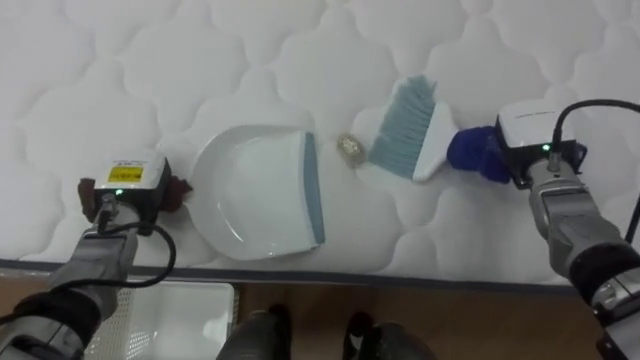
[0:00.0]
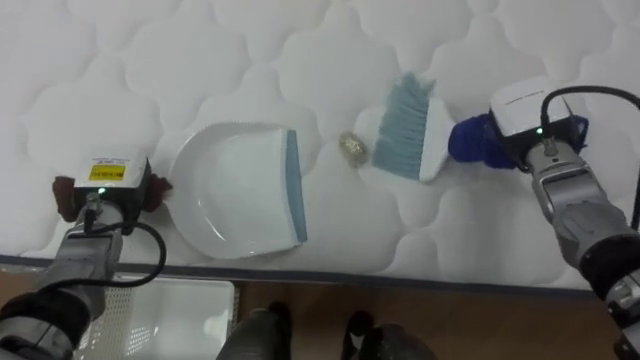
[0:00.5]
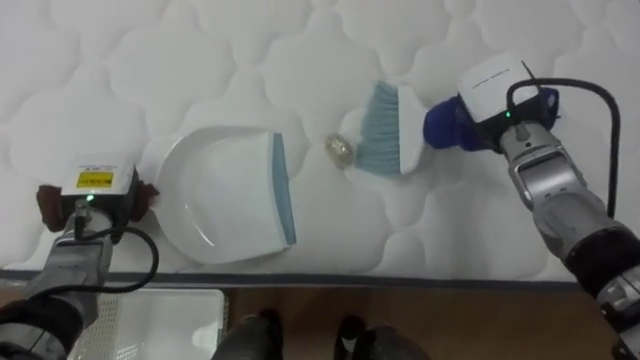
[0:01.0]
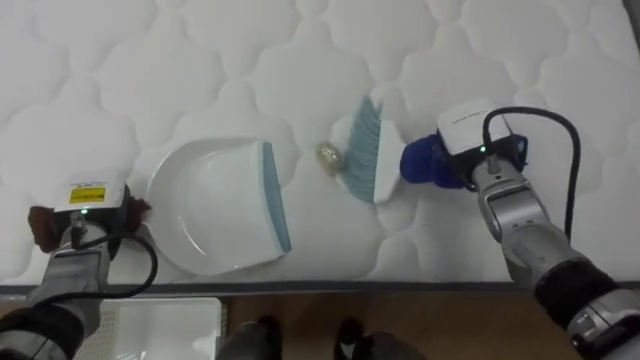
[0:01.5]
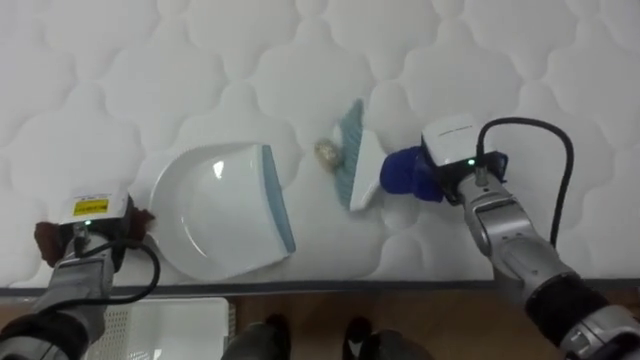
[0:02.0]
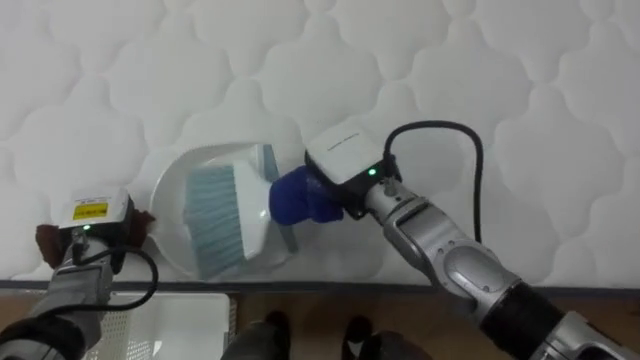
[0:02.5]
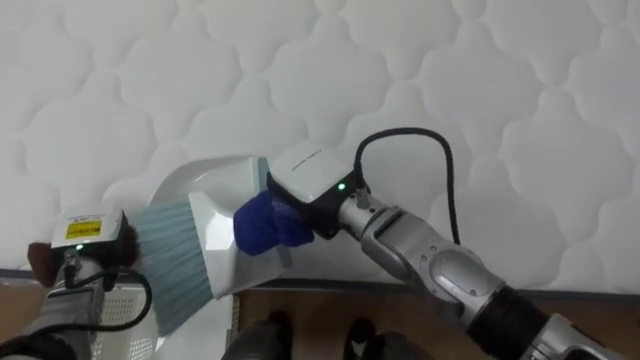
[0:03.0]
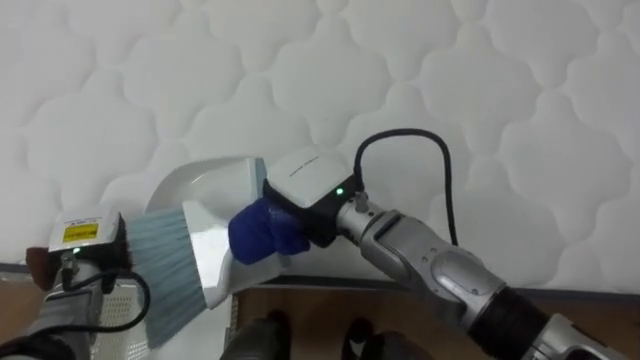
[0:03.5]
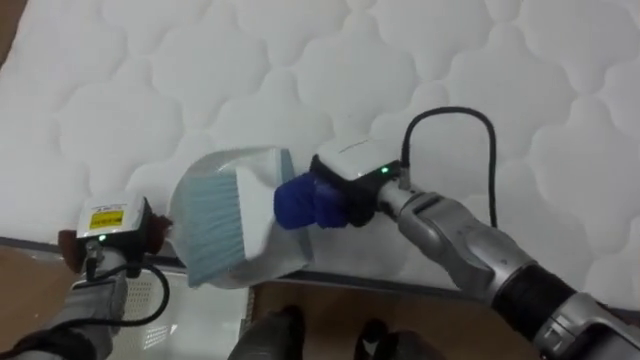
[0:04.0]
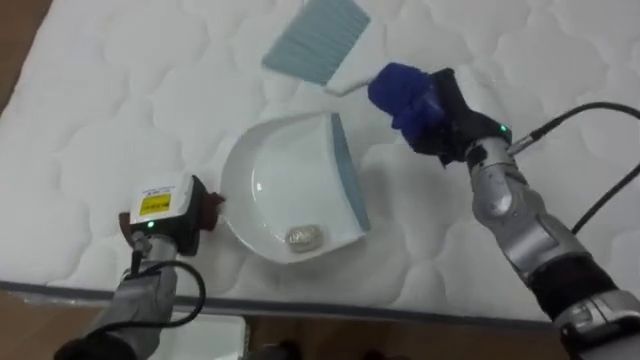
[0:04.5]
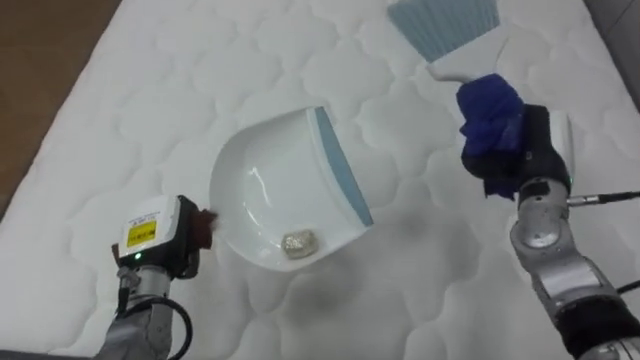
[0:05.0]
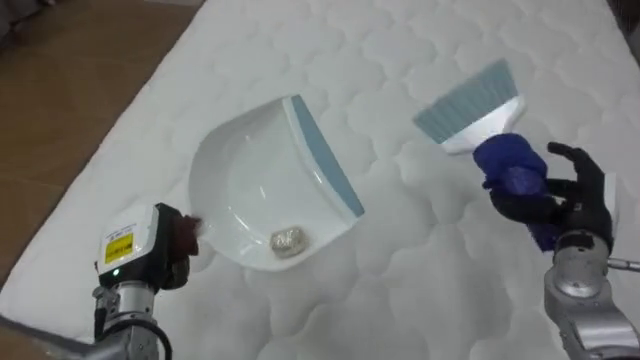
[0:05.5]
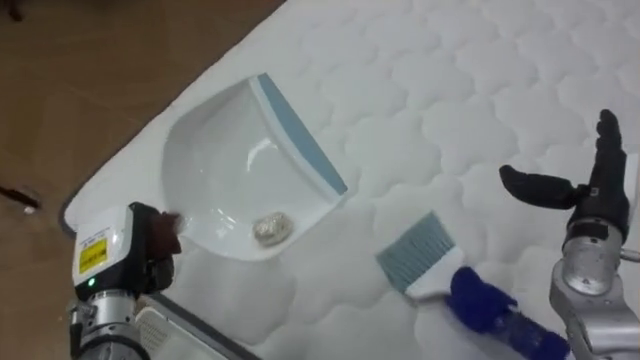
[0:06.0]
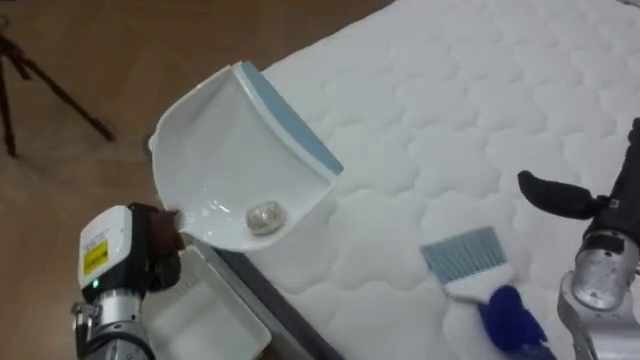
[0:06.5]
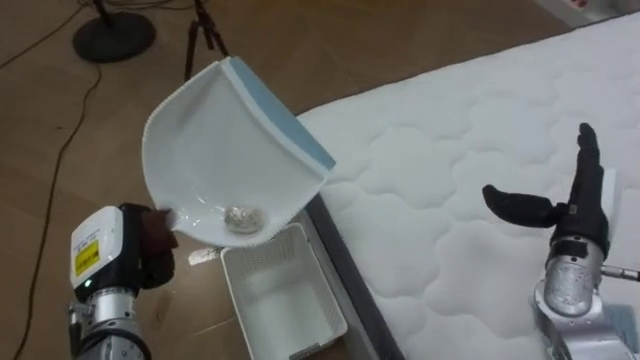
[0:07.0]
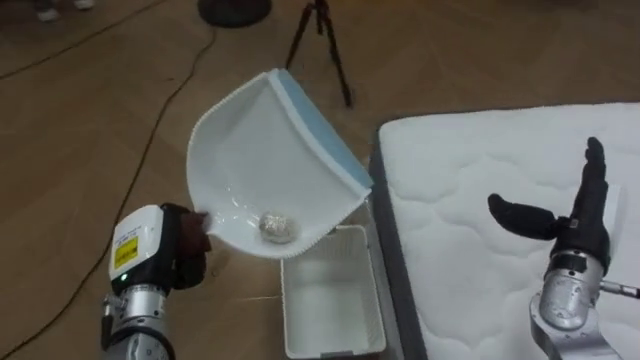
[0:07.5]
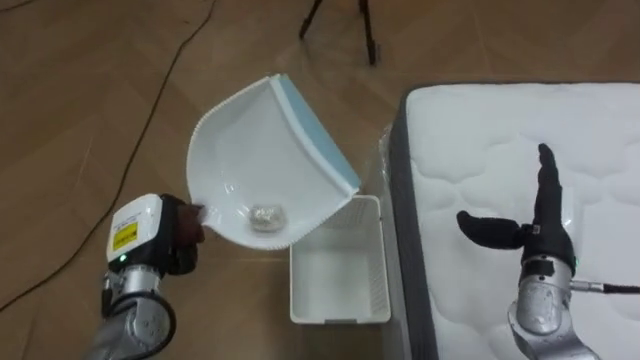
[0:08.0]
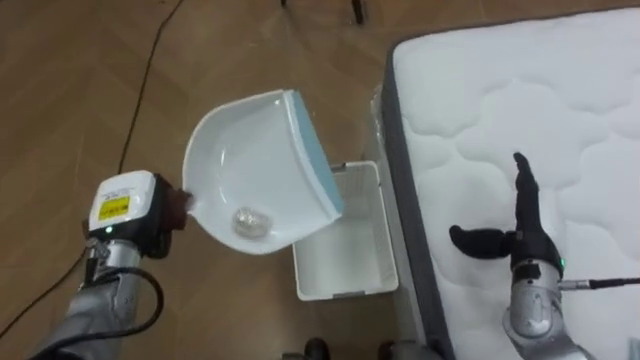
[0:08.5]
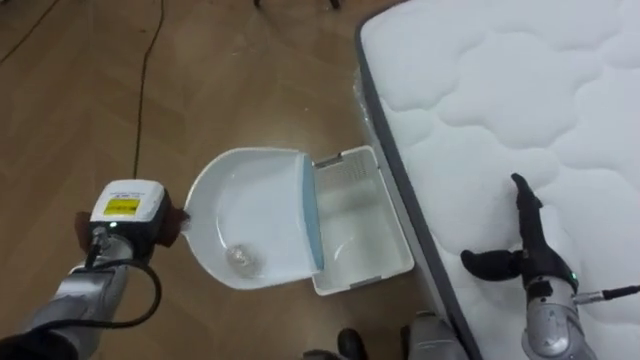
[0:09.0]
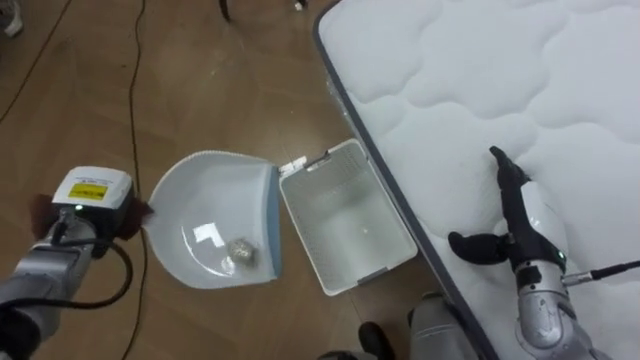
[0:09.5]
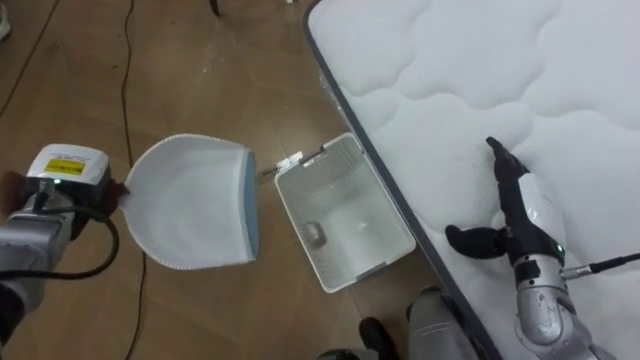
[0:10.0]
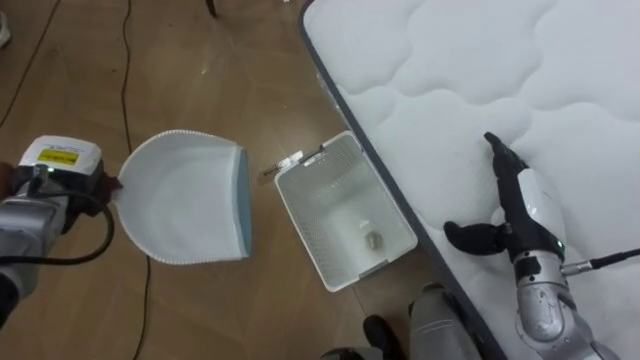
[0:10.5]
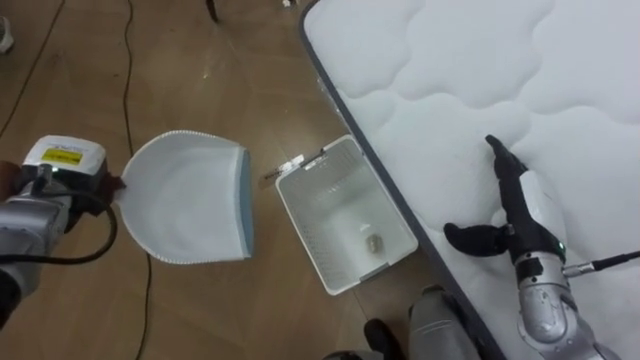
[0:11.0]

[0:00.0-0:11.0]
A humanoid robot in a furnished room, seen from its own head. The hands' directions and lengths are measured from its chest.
Task of the whole recording: Pick up the brush on your right and the dustpan on your left. Use the brush to sweep the crumpled paper on the bed into the dustpan, then turn left and empty it into the basket.
0:00.0 to 0:02.0: The left hand moves roughly 5 cm. The right hand heads to the left, covering about 10 cm.
0:02.0 to 0:03.5: The right hand travels to the left by some 20 cm.
0:03.5 to 0:05.5: The right hand is displaced to the right by about 35 cm, and opens up; the left hand moves to the right, approximately 10 cm.
0:05.5 to 0:07.5: The robot's body swings about 75 degrees to its left.
0:07.5 to 0:09.0: The left hand moves forward, about 5 cm. The right hand heads downward, covering some 5 cm.
0:09.0 to 0:11.0: The left hand heads to the left and upward, covering about 10 cm; the right hand changes place by approximately 5 cm.

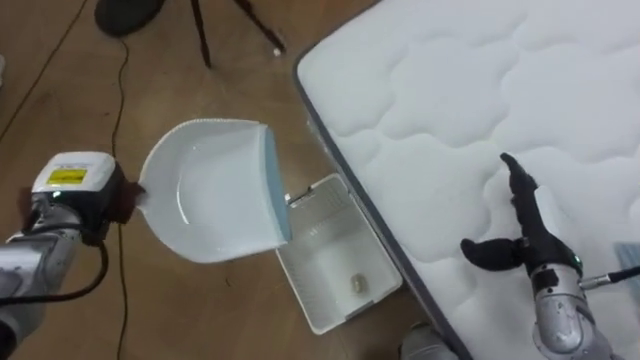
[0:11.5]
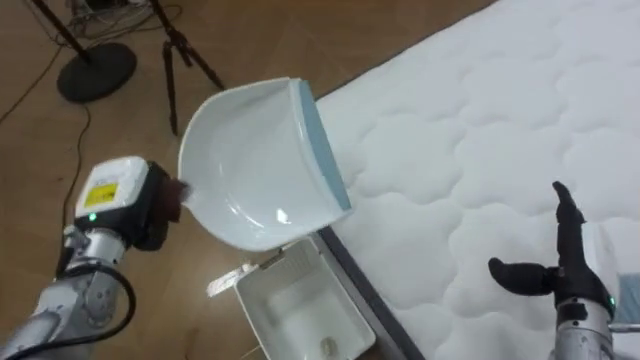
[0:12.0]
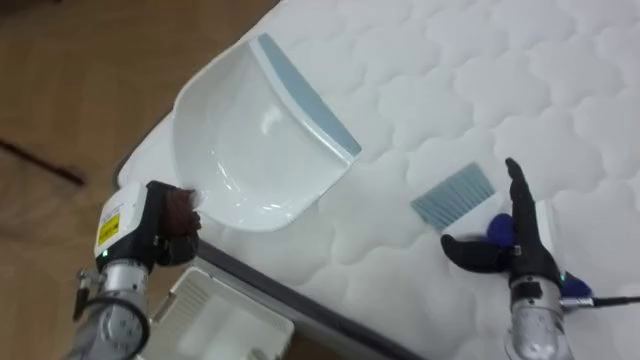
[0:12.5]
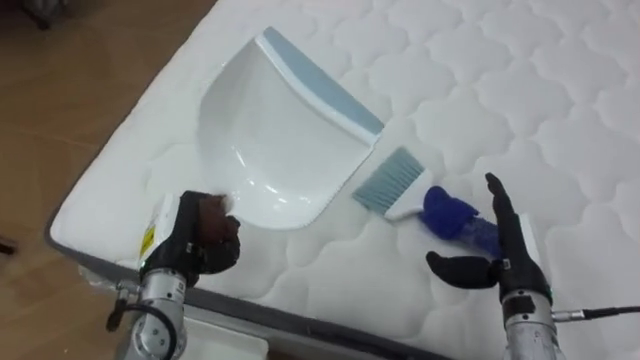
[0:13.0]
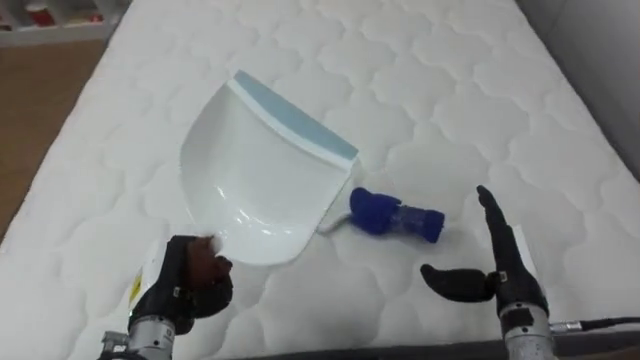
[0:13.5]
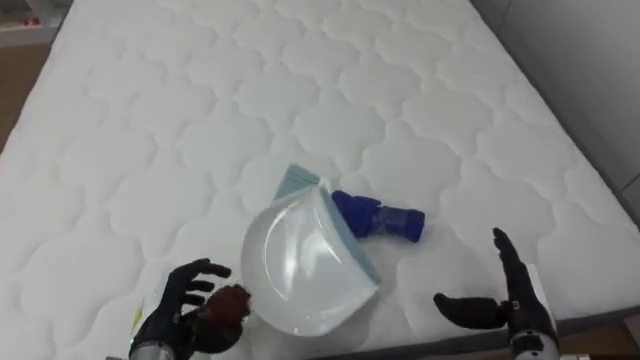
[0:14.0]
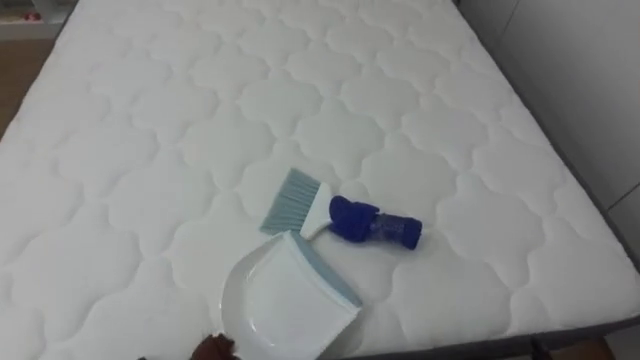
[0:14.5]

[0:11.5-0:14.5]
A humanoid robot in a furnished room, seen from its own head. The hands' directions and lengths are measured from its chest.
Task of the whole recording: Pick up the brush on your right and the dustpan on your left. Use the brush to sweep the crumpled paper on the bed into the dustpan, then turn left and empty it into the basket.
0:11.5 to 0:13.0: The robot faces some 55 degrees further to its right. The left hand goes about 15 cm to the right and backward.
0:13.0 to 0:14.5: The robot's body swings roughly 25 degrees to its right.

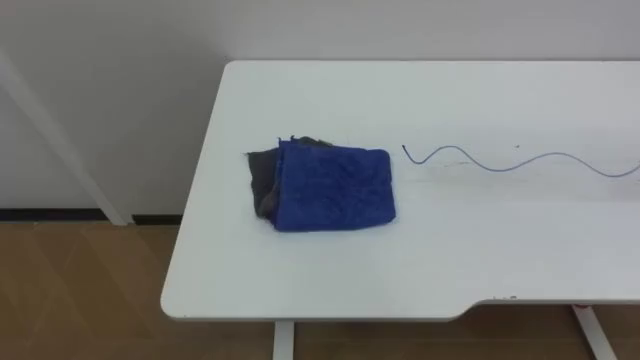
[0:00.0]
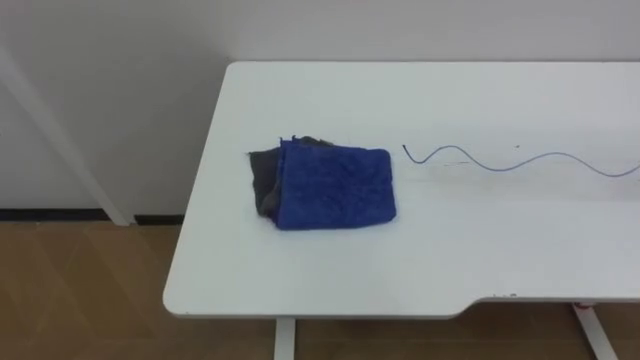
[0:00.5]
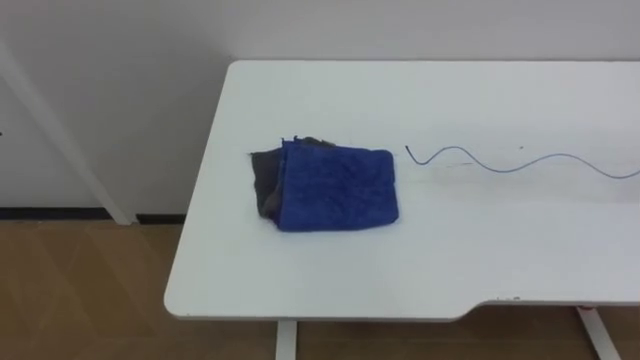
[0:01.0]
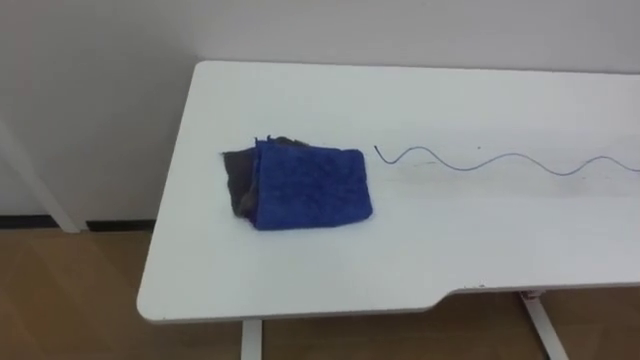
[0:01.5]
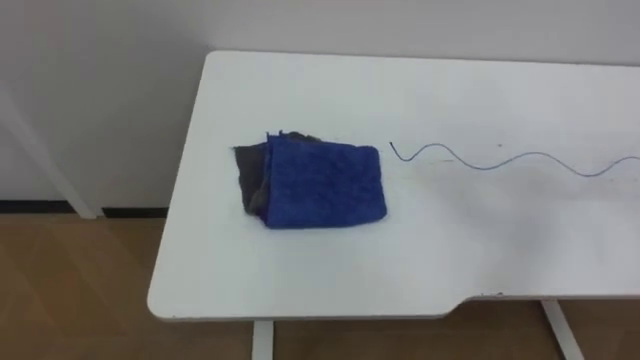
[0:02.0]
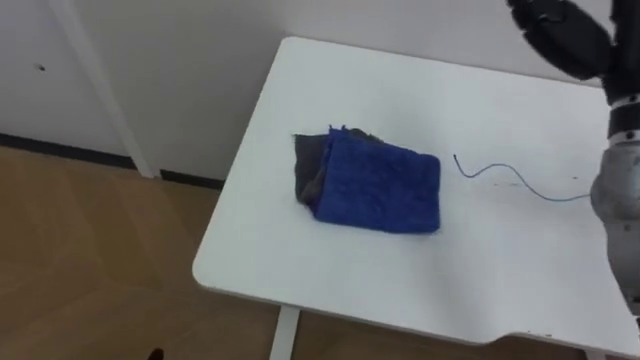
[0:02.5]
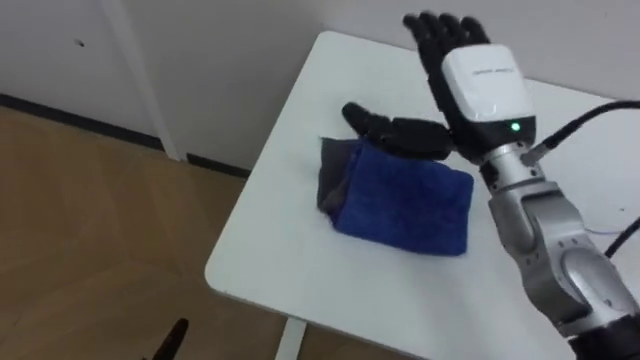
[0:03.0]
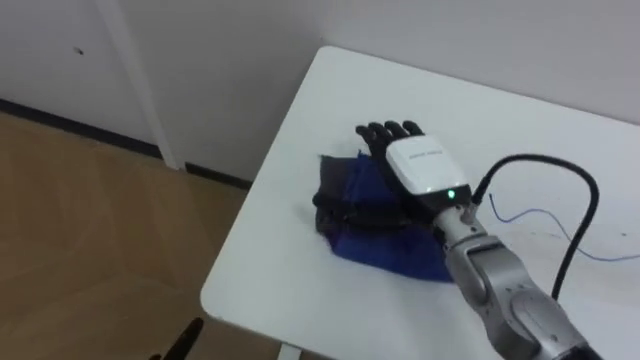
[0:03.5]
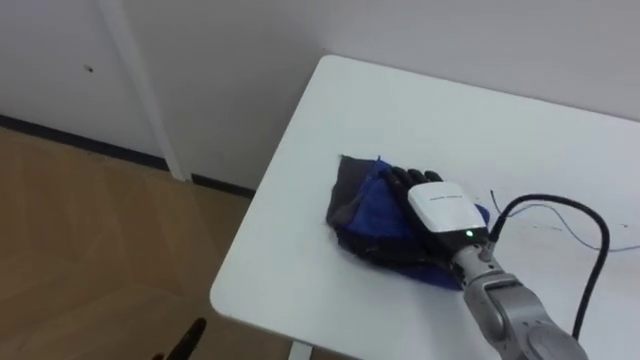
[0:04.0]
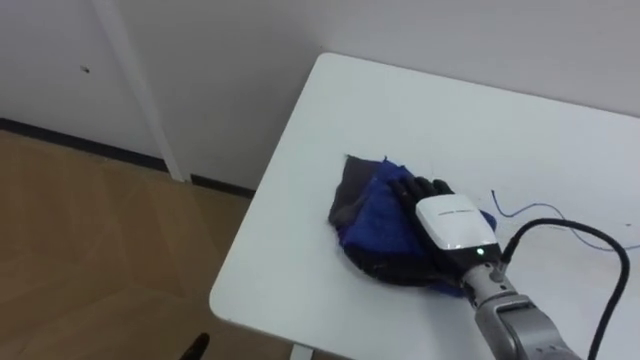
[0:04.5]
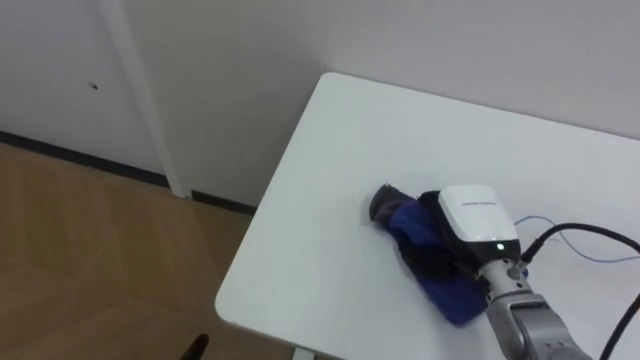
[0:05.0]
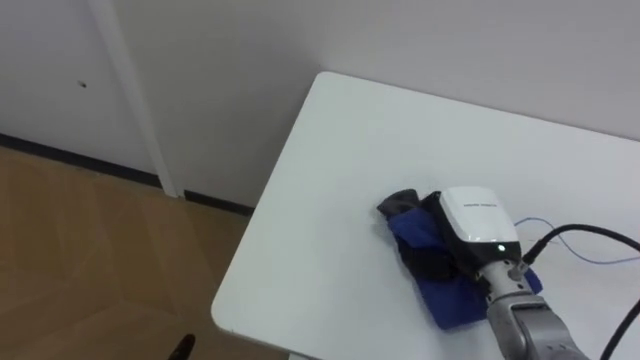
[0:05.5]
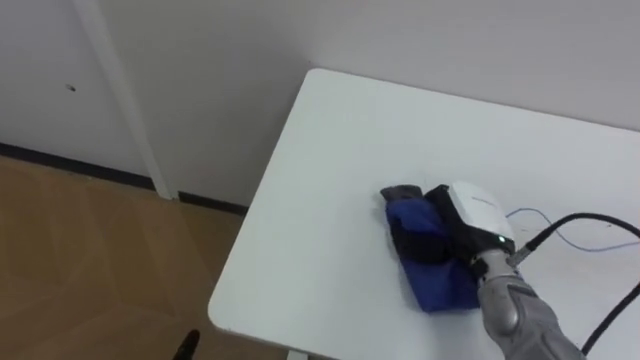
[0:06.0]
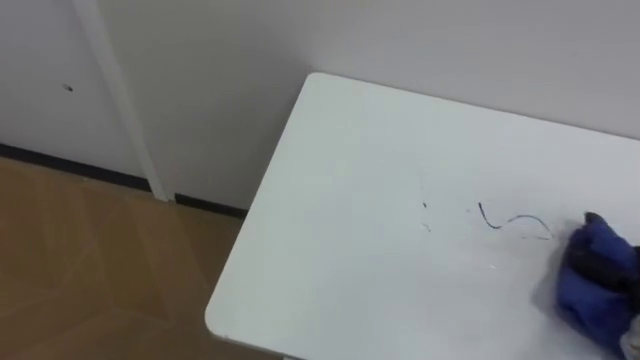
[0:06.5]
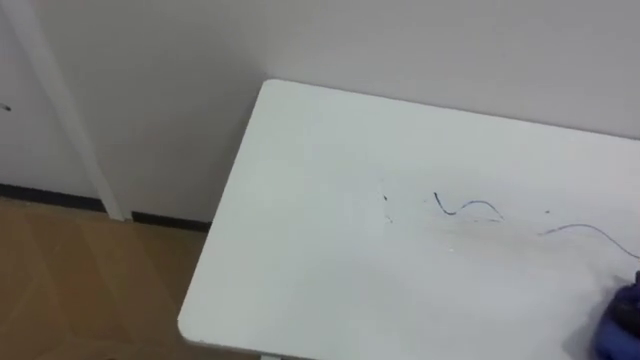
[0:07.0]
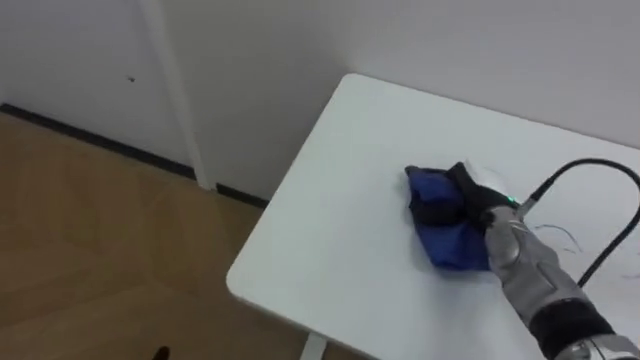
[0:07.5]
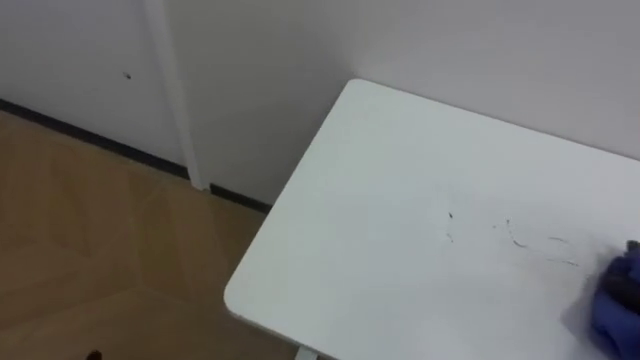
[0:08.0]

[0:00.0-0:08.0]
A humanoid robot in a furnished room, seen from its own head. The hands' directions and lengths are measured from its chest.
Task of the whole recording: Wipe the blue pen marks off the table with the rag.
0:04.0 to 0:06.0: The right hand closes up.
